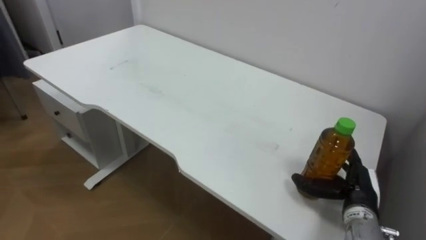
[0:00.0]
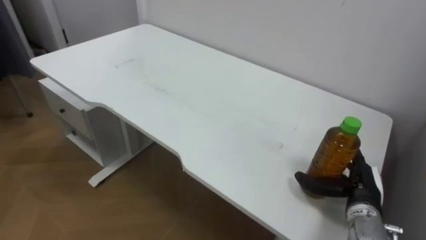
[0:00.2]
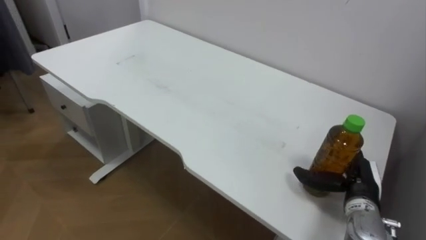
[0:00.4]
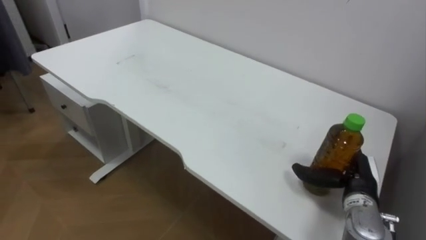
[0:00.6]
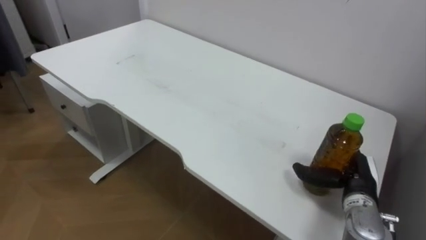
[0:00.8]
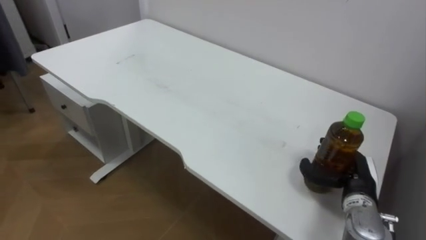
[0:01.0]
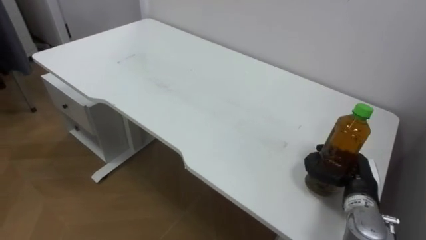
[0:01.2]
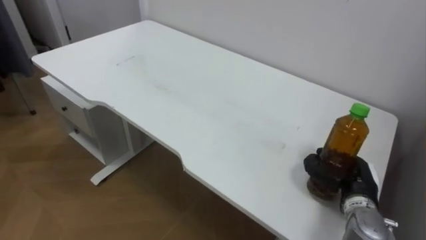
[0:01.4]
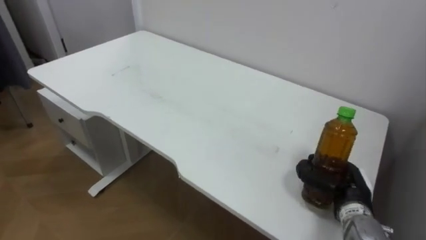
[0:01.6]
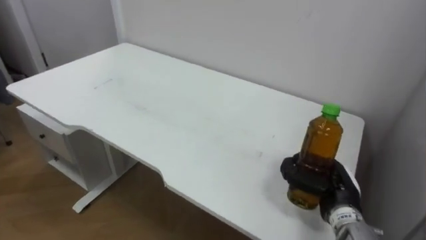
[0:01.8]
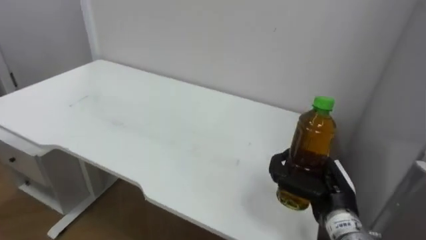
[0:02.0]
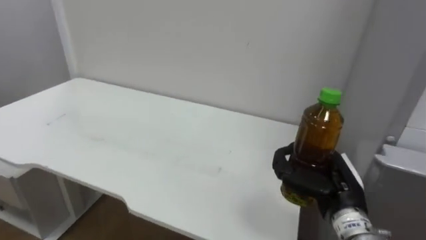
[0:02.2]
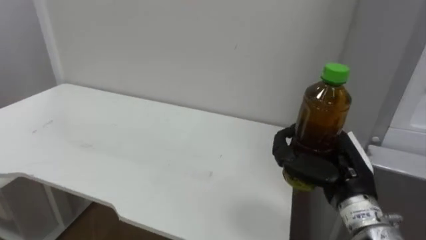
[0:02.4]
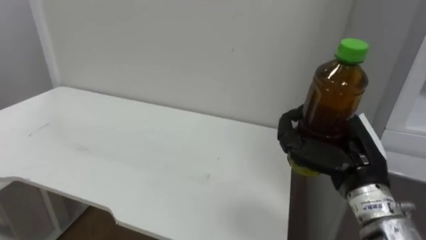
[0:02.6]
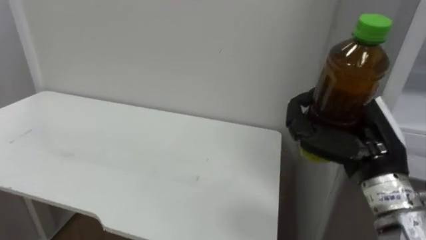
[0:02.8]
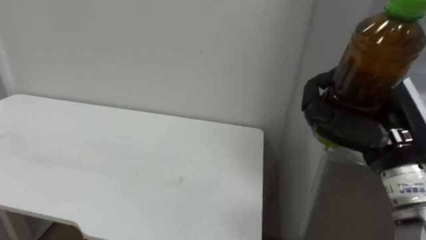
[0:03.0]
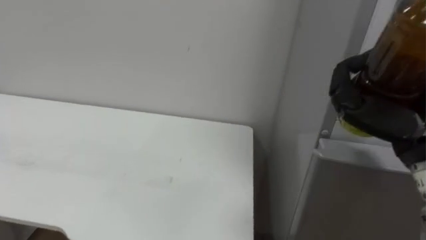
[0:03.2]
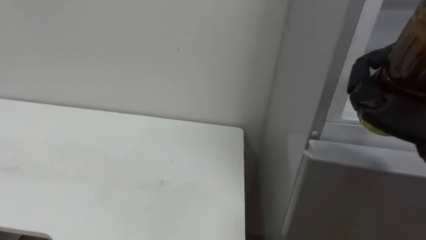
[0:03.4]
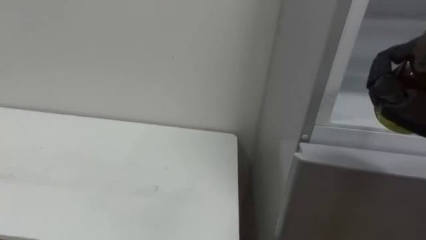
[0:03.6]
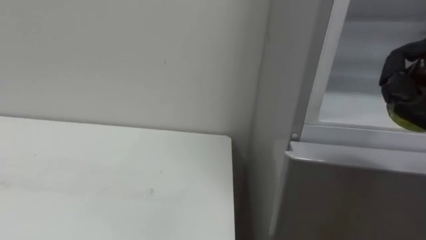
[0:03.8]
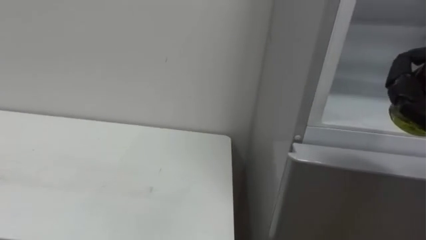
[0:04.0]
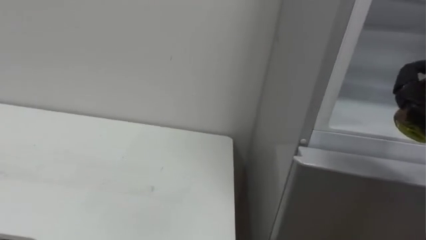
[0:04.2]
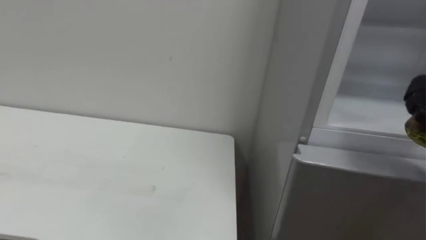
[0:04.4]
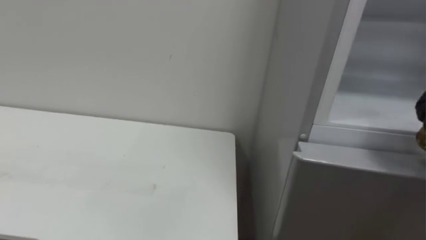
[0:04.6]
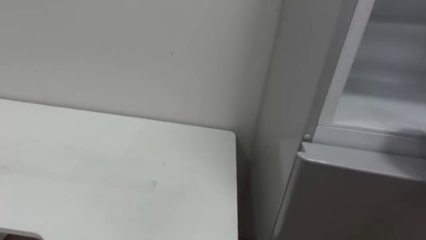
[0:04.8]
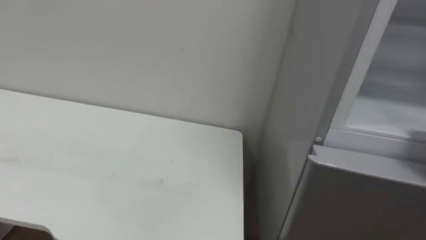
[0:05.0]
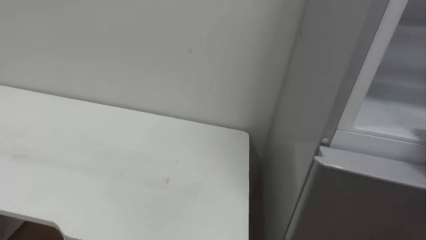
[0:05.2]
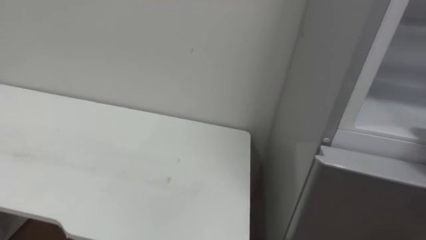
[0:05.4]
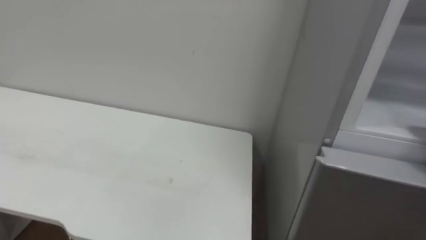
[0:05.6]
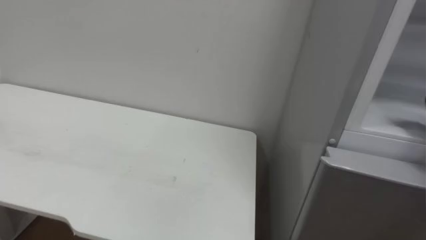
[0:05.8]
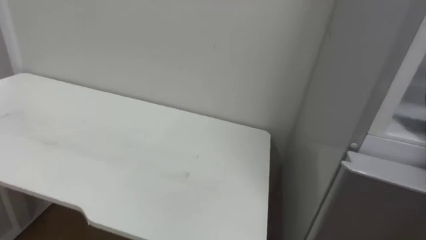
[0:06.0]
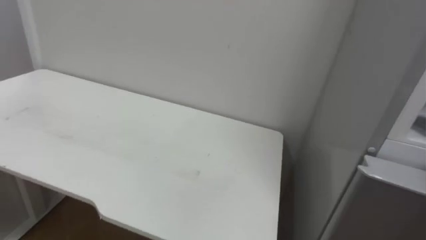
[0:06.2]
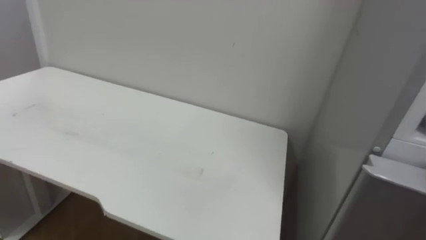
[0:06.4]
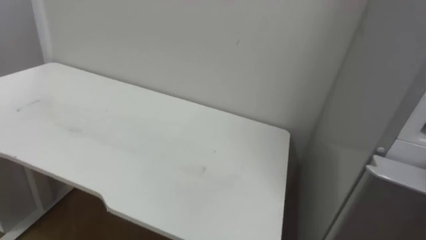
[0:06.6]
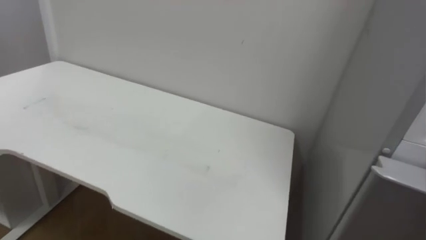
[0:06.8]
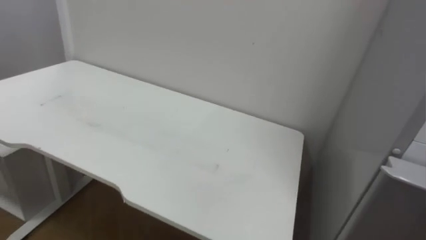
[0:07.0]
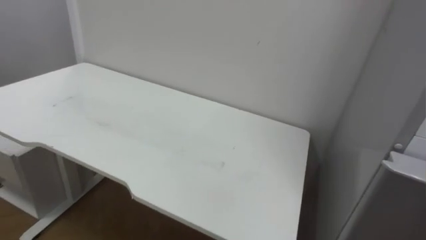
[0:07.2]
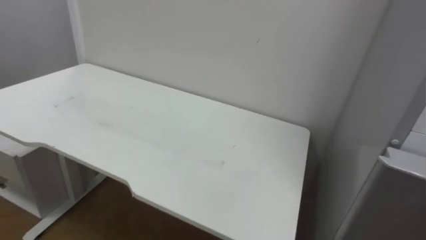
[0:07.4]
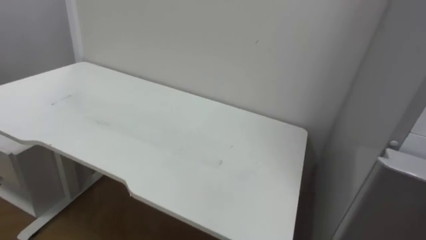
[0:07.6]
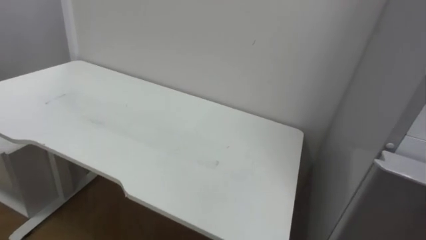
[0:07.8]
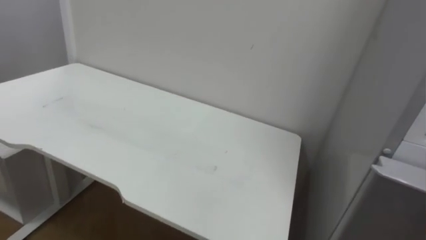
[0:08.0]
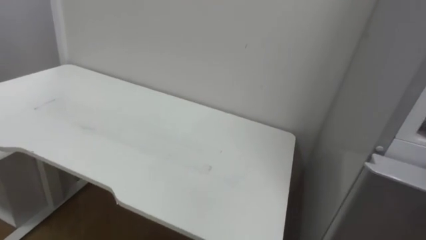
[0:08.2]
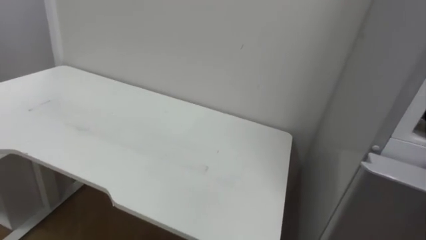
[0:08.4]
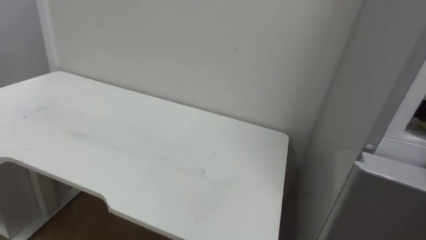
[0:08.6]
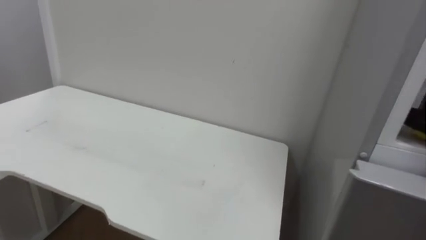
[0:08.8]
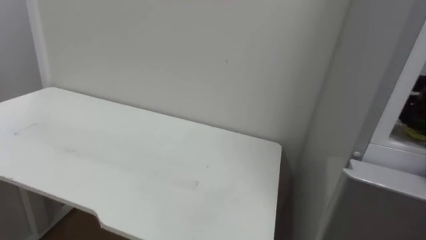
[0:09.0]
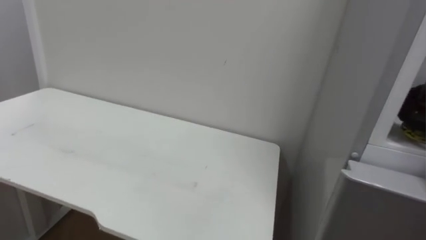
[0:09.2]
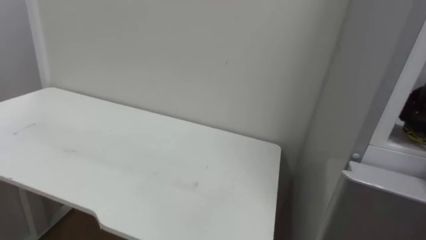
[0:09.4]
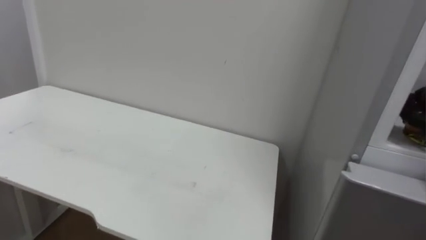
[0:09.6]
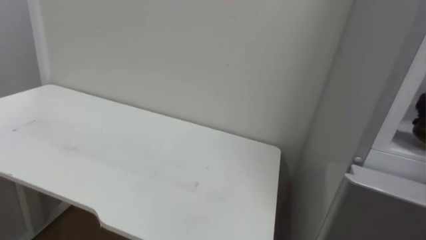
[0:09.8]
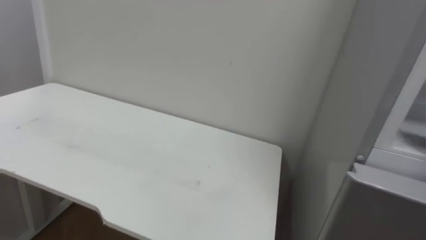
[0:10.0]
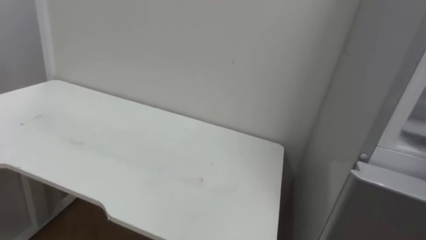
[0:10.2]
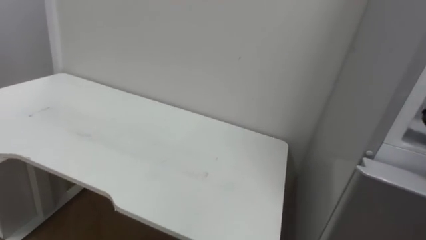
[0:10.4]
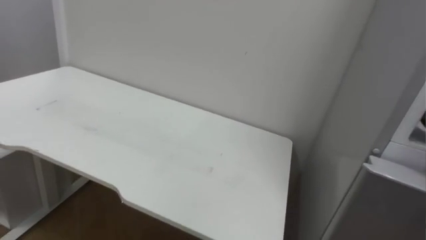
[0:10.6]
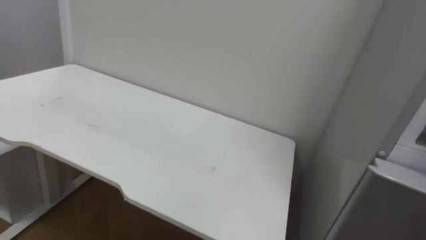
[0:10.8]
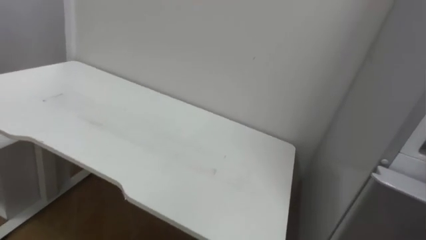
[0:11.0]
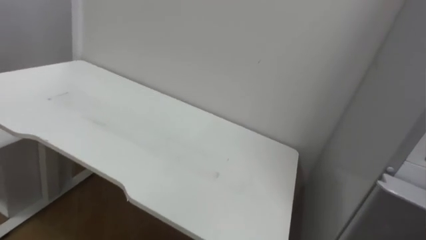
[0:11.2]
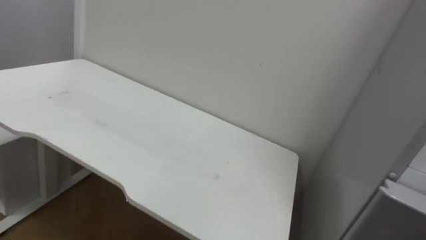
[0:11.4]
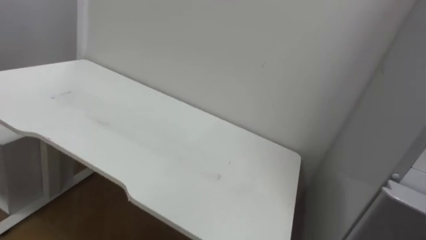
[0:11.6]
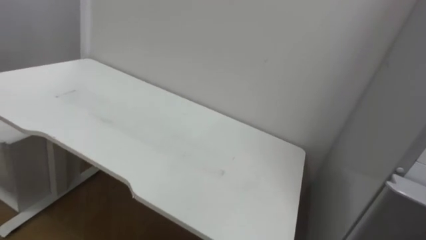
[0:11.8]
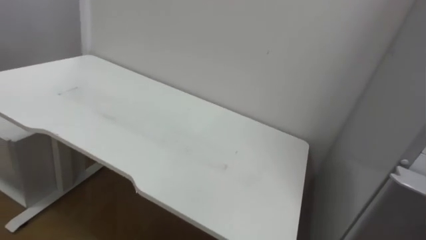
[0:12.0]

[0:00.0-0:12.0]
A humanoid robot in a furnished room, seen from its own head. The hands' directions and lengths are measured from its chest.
Task of the whole recording: Open the upper refrigerator door, put the drink from the table into the refrigerator, and then close the refrigerator door.
0:00.0 to 0:01.6: The right hand closes up.
0:01.6 to 0:03.0: The right hand travels upward and backward by roughly 20 cm.

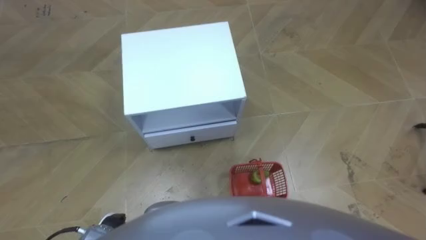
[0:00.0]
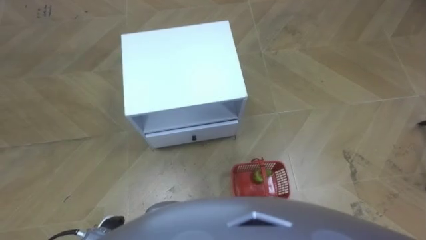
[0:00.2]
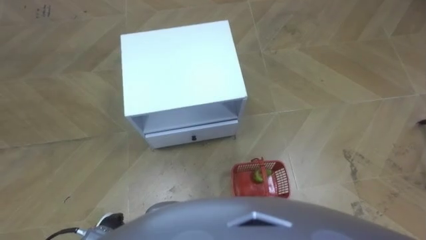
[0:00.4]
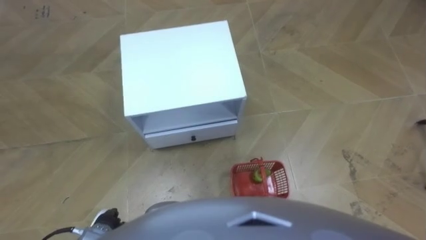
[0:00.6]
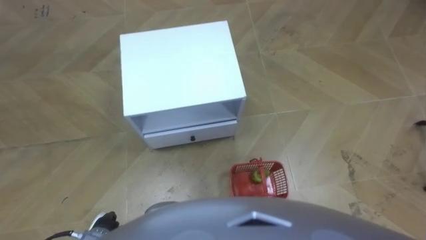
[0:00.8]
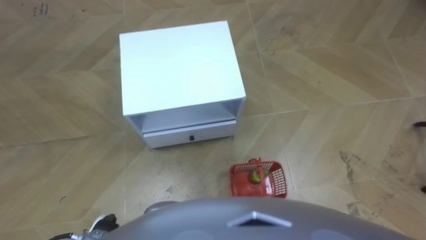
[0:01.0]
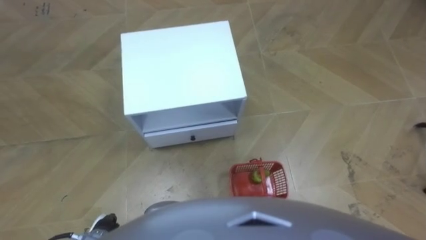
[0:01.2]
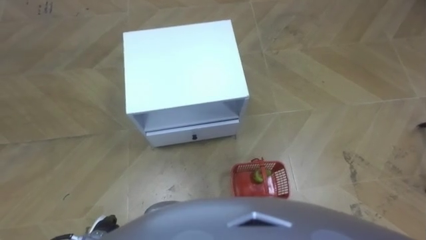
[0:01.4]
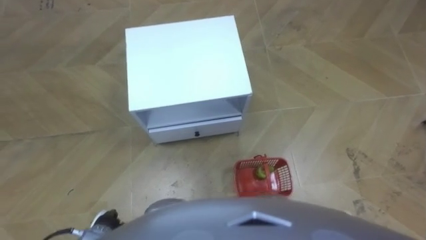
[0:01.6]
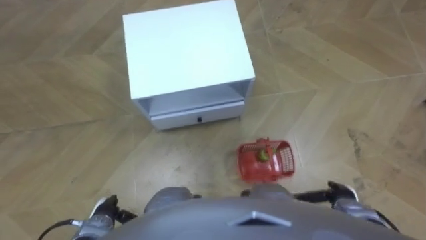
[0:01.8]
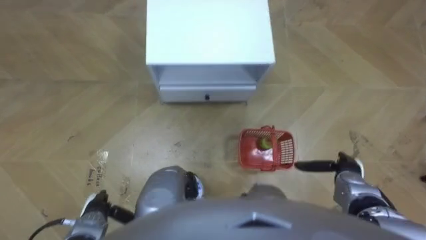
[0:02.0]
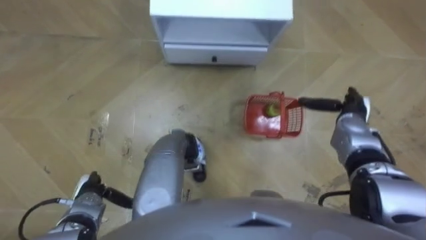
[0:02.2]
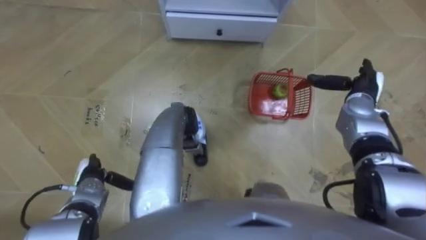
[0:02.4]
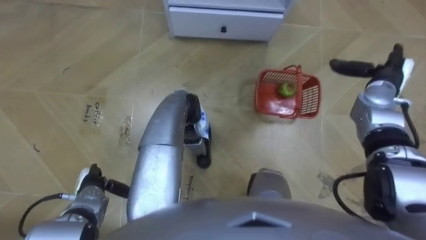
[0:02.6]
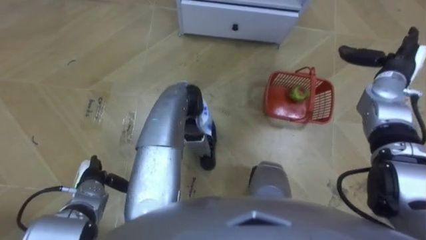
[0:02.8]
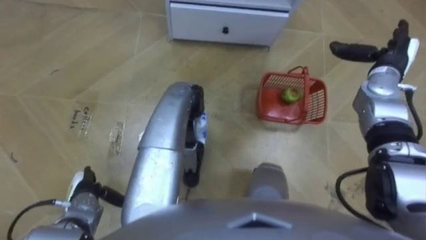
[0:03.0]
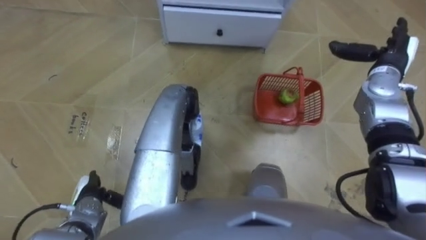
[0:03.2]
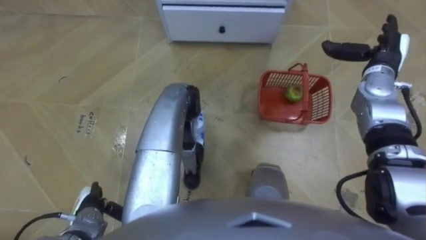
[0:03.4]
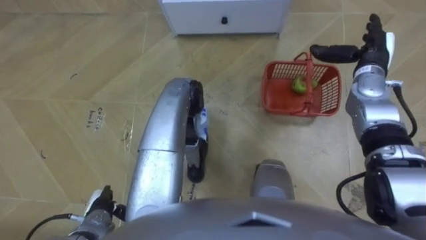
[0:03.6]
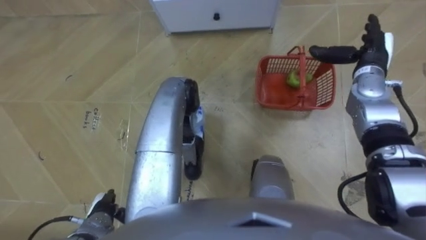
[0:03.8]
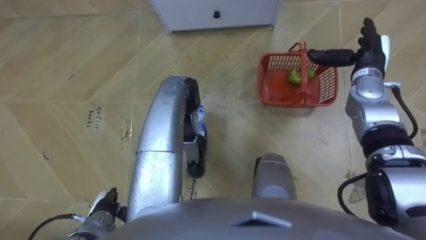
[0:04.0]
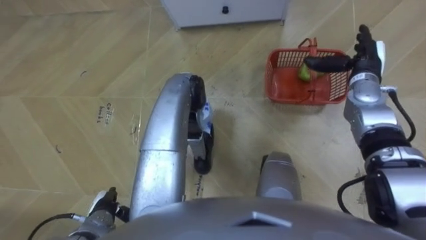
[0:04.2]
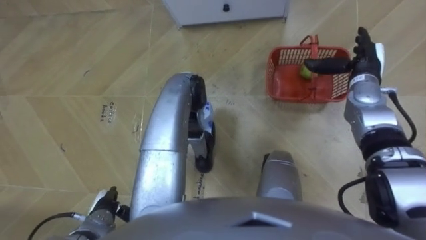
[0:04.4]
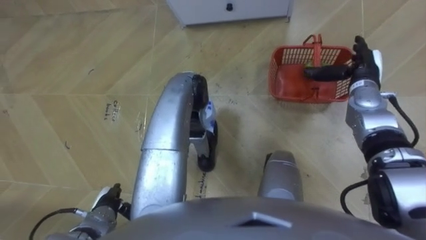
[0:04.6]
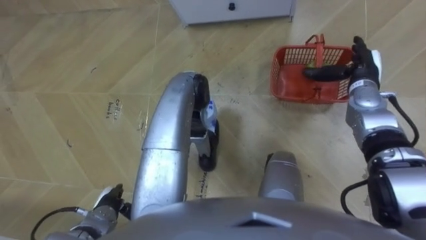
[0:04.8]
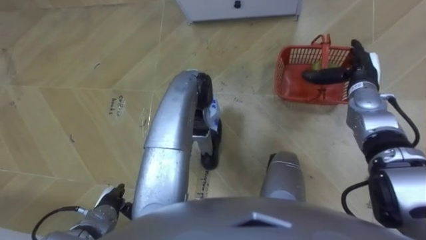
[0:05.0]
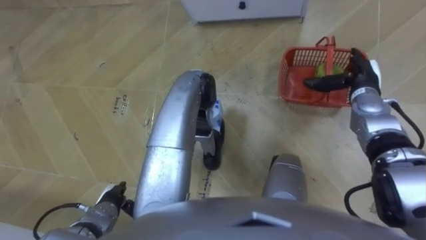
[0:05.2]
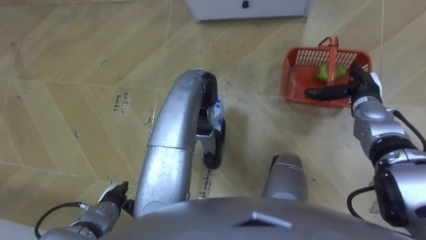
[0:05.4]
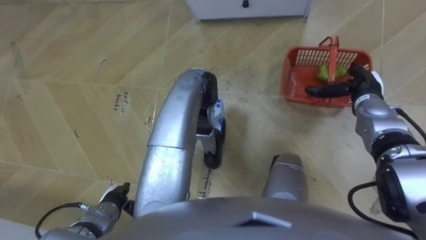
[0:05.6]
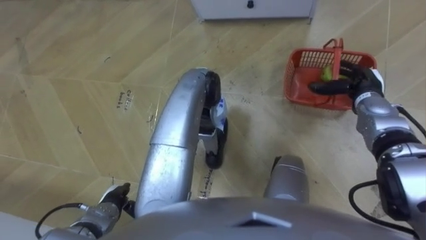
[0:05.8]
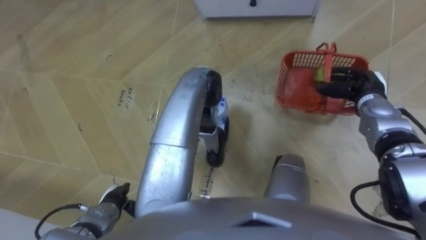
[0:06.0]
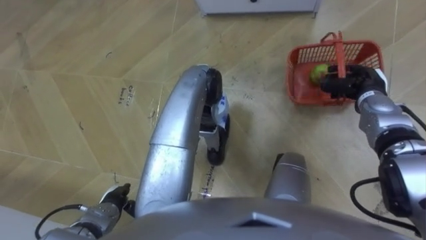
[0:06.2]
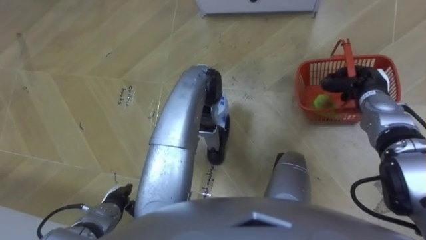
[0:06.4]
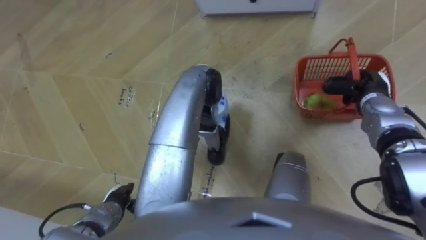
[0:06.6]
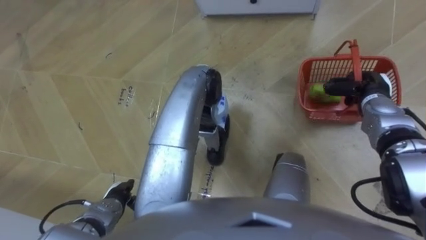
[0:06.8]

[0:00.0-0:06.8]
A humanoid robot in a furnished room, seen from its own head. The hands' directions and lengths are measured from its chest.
Task of the whole recording: Pick up the fruit basket from the floor and place it on the cabinet.
0:01.4 to 0:02.8: The left hand heads forward, covering approximately 10 cm. The right hand heads forward and upward, covering about 35 cm.
0:02.8 to 0:04.0: The right hand is displaced to the left by some 5 cm, while the left hand travels backward by approximately 5 cm.
0:04.0 to 0:05.4: The right hand goes approximately 5 cm downward.
0:05.4 to 0:06.8: The right hand closes.
